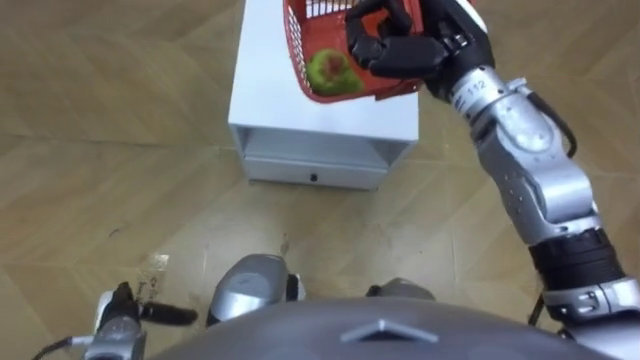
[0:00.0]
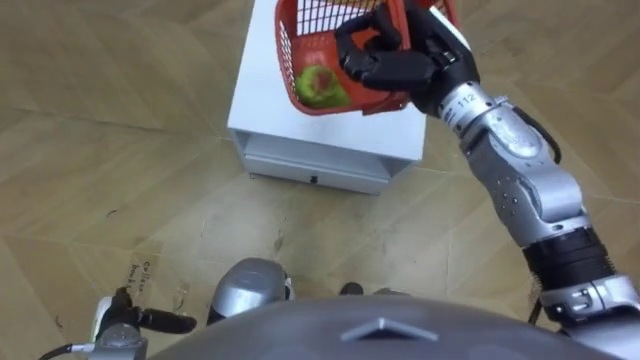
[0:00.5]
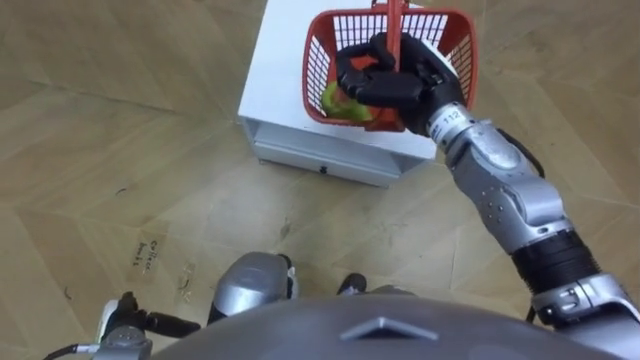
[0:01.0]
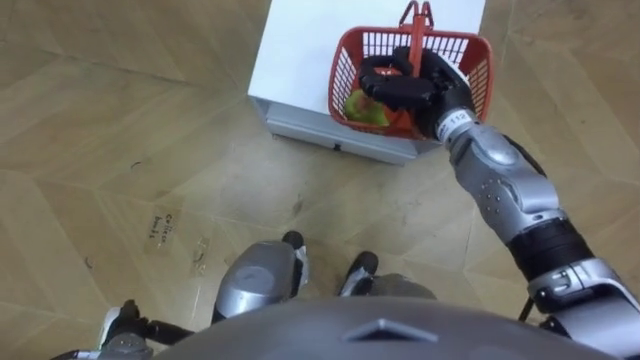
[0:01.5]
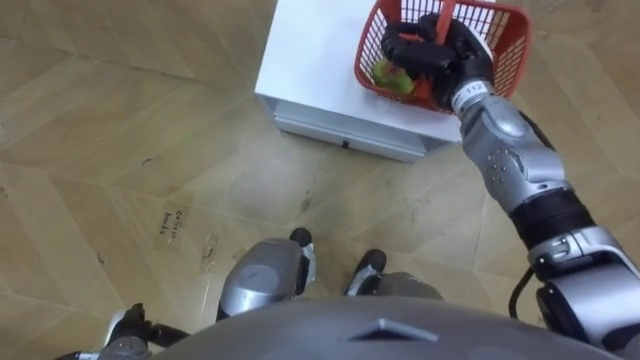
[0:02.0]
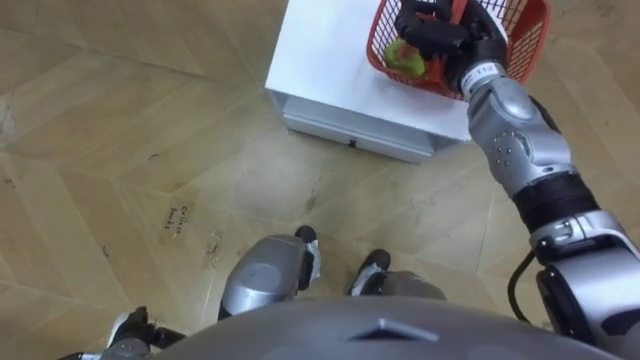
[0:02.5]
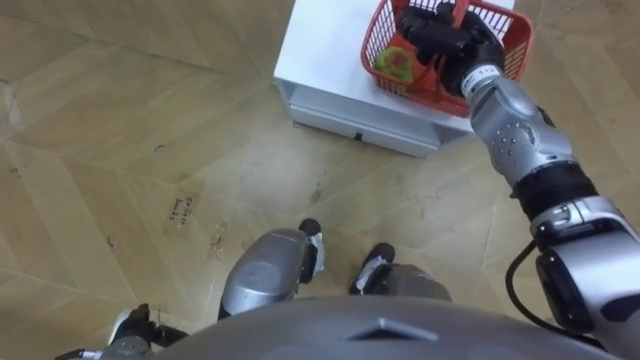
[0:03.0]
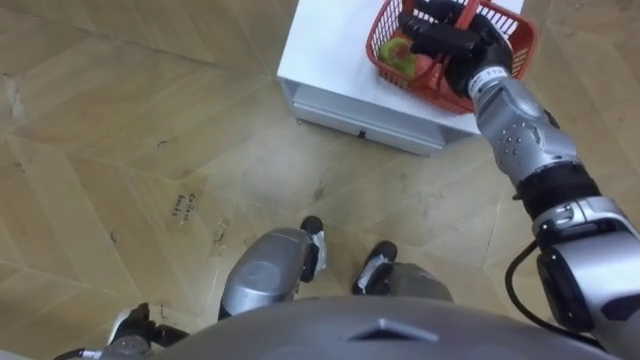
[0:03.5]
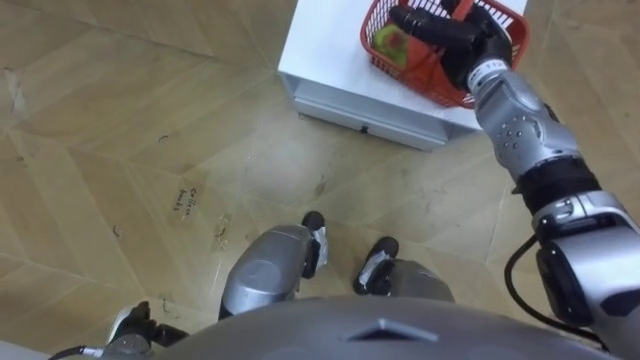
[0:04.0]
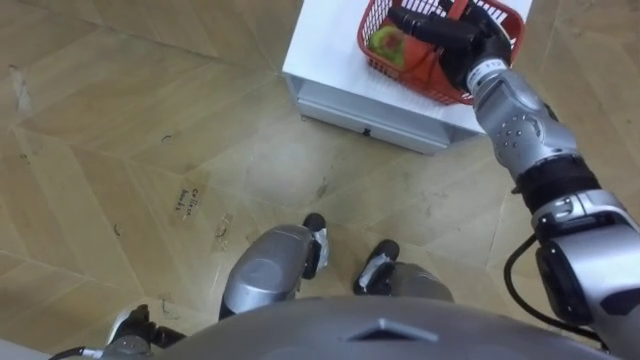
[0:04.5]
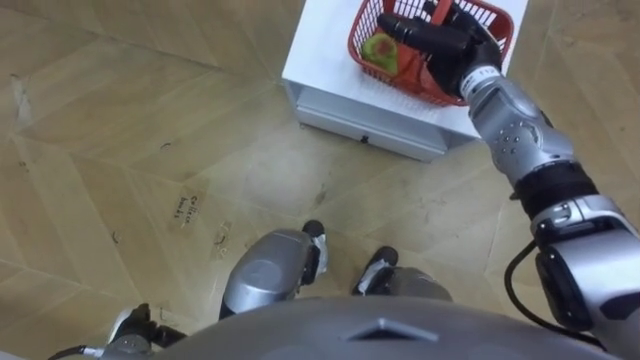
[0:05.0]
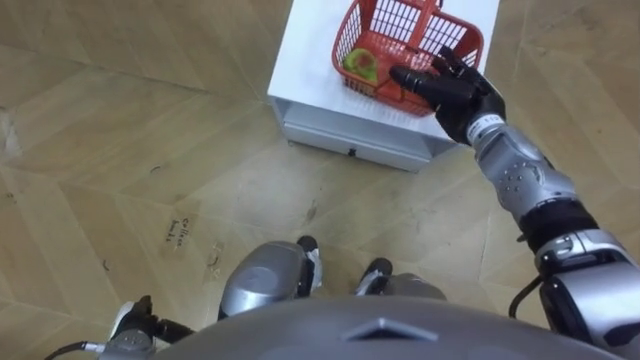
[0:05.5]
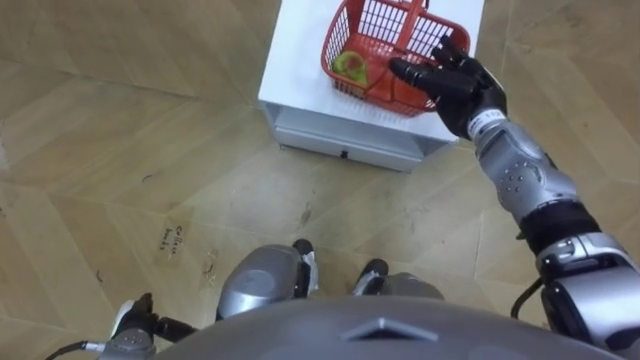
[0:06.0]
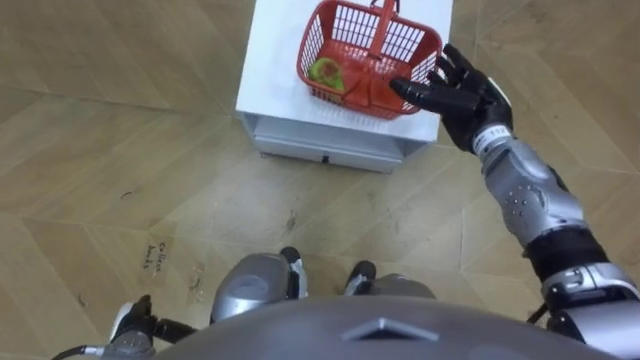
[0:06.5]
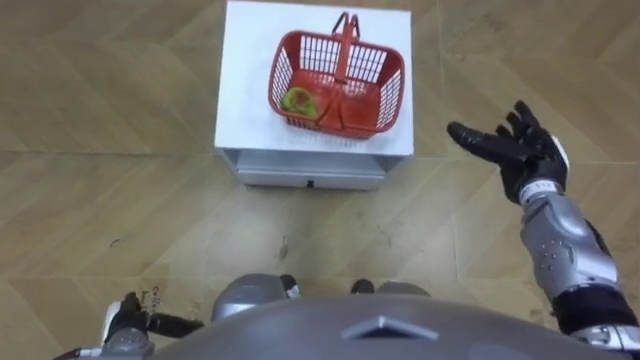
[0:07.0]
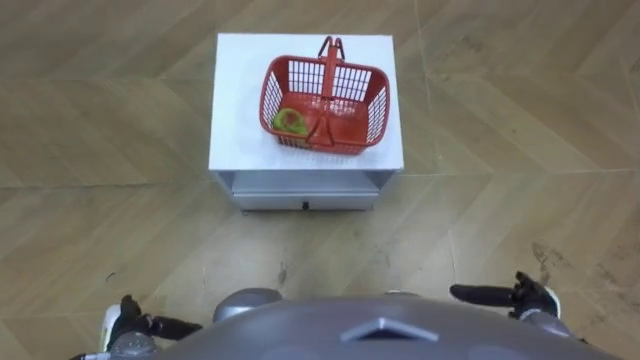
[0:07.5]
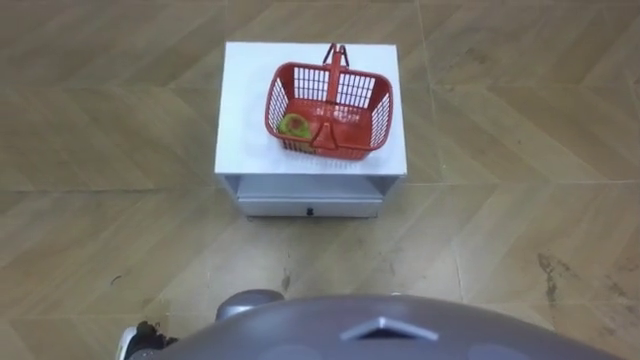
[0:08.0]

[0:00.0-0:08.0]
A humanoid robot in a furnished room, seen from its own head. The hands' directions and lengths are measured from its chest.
Task of the whole recording: Pick up the fruit basket from the floor and place it on the cabinet.
0:00.0 to 0:02.0: The right hand goes about 10 cm downward.
0:02.0 to 0:04.0: The right hand opens.
0:04.0 to 0:06.0: The right hand changes place by roughly 5 cm.
0:06.0 to 0:08.0: The right hand goes approximately 35 cm backward and downward.

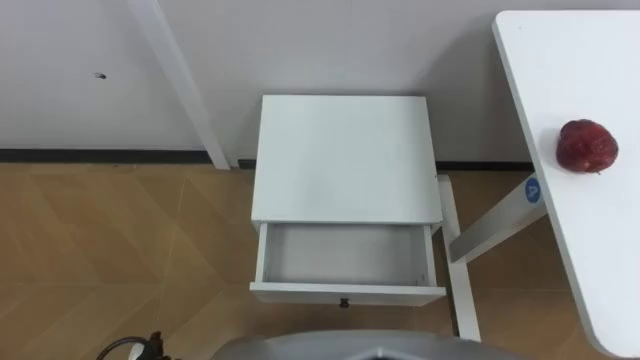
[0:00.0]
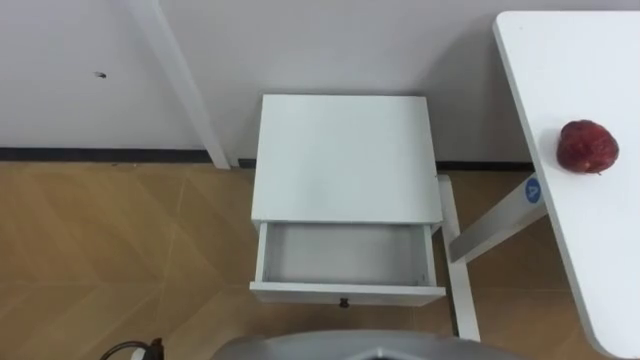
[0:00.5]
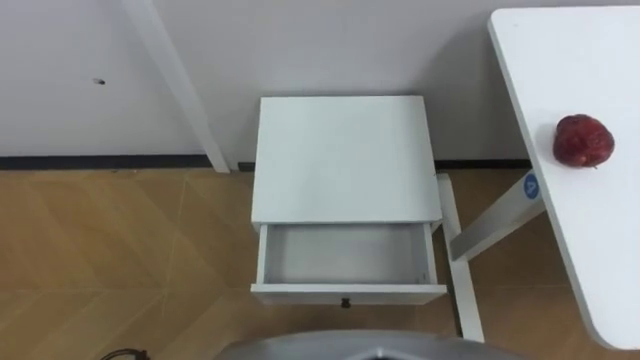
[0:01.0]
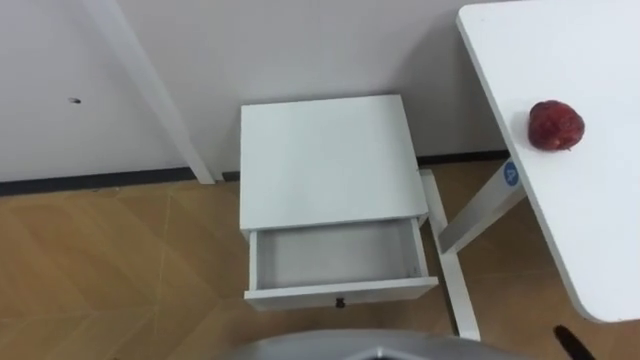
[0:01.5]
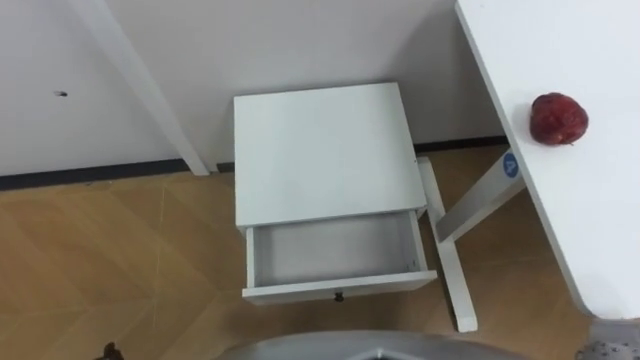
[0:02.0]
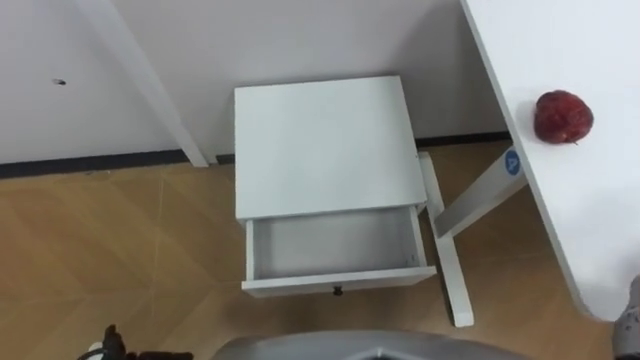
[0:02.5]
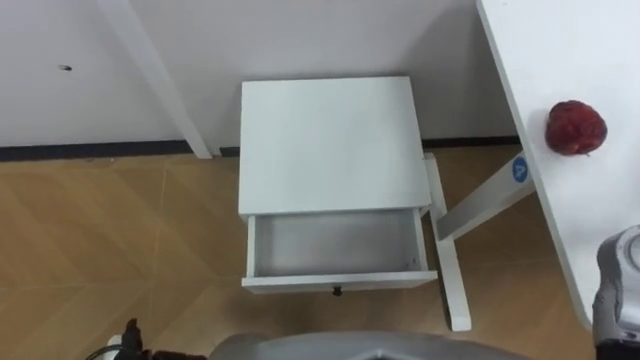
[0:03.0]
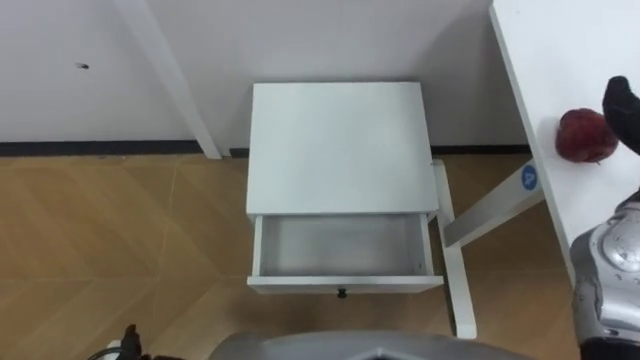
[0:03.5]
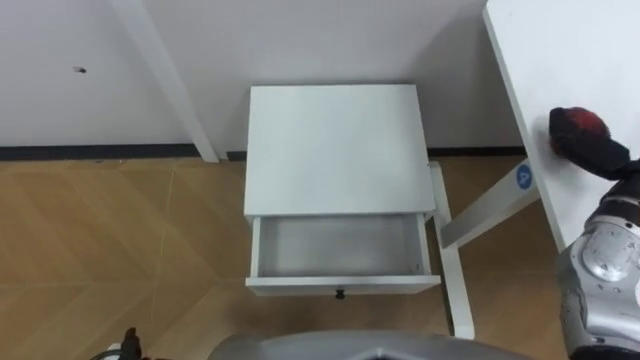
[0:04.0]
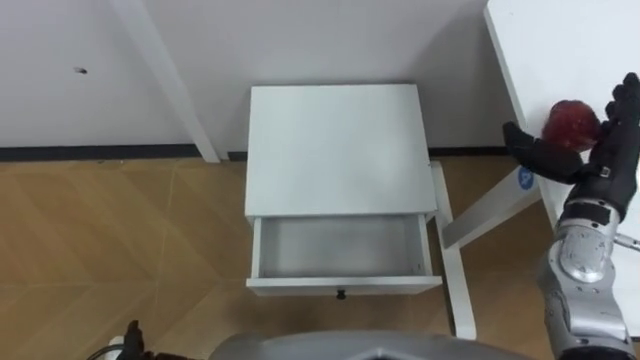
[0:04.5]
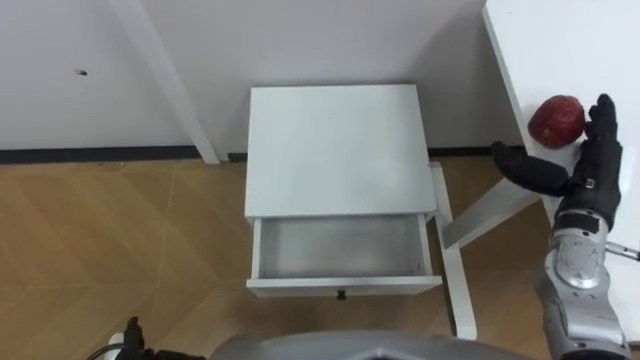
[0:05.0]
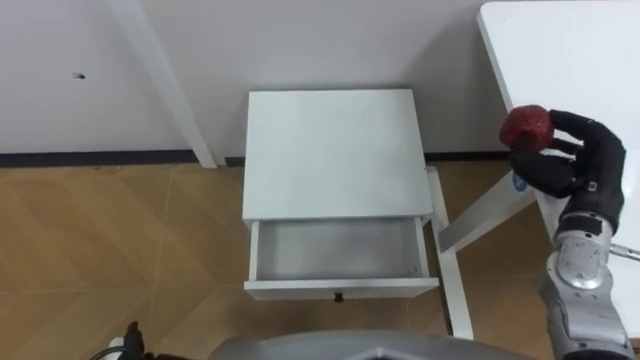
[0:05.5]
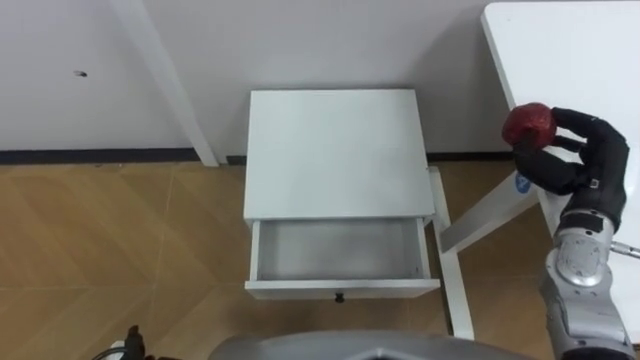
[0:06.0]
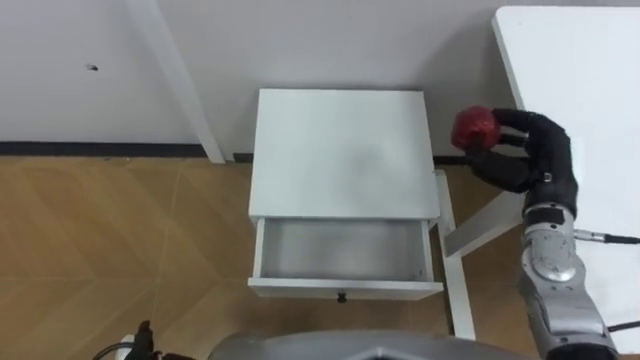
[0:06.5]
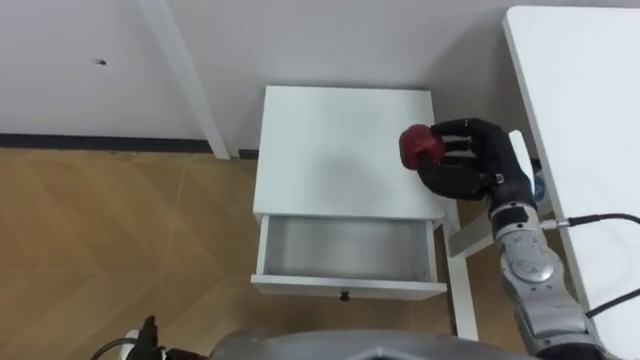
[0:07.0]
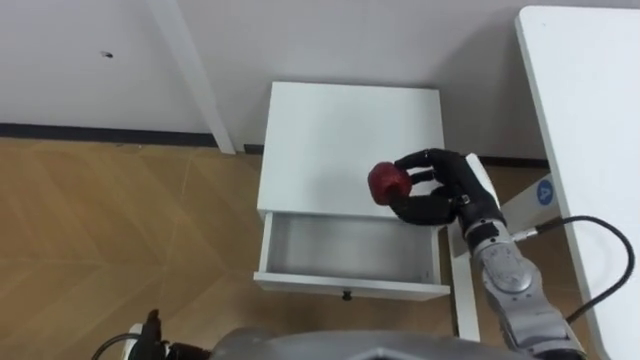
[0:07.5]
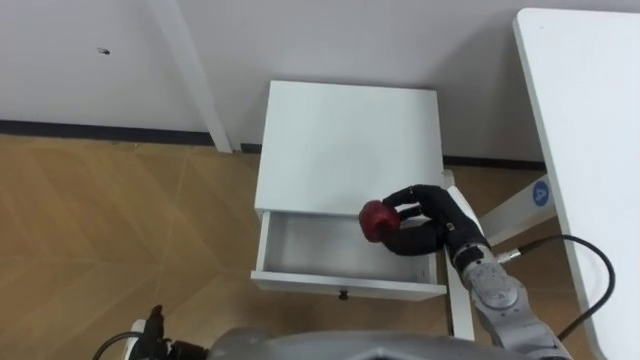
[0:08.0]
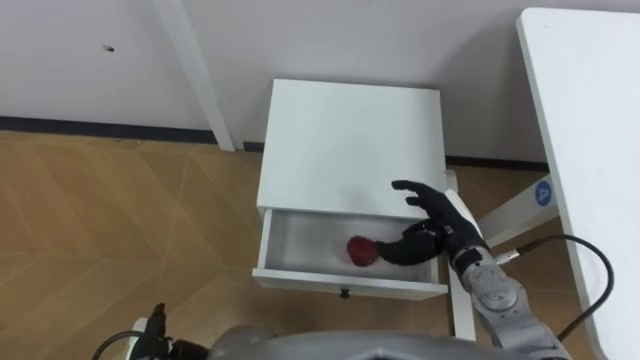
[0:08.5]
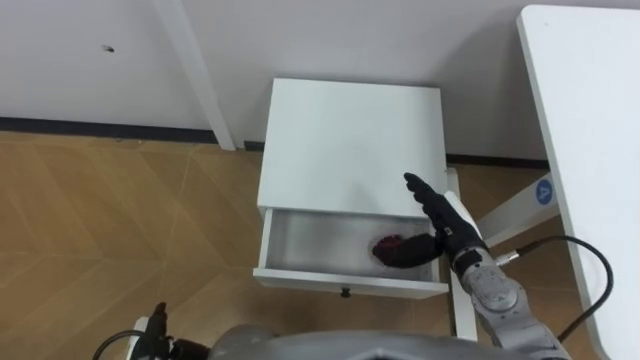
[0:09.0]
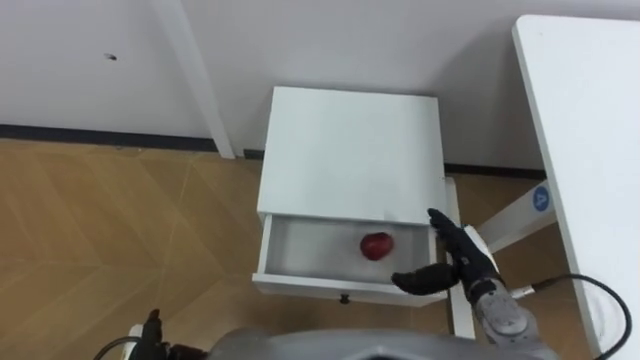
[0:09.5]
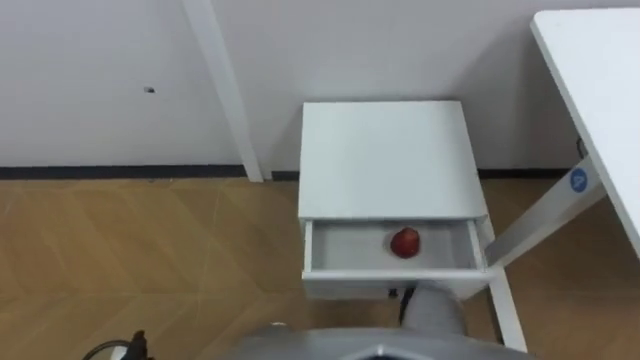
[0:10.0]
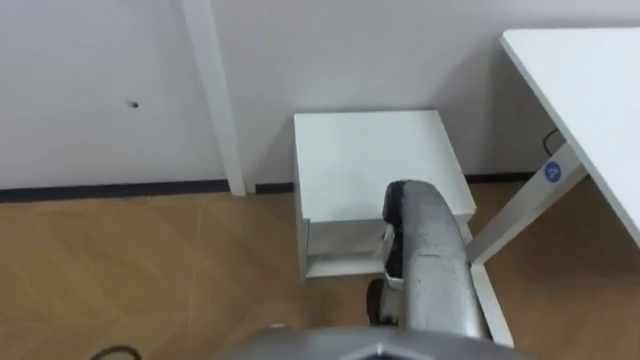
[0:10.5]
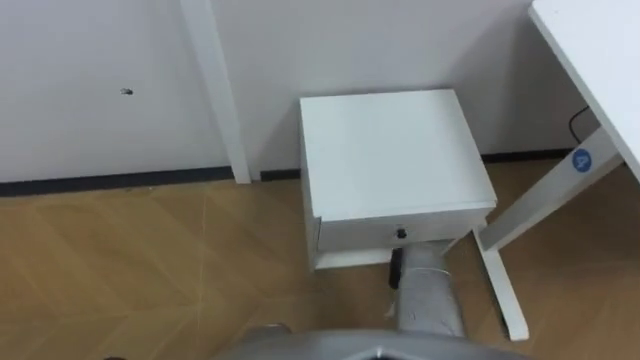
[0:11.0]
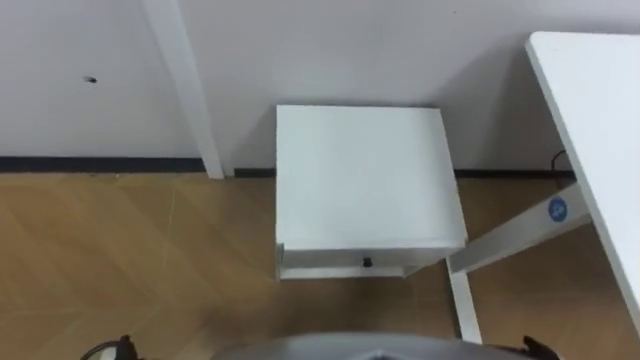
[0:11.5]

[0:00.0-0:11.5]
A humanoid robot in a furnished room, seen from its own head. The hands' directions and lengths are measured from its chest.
Task of the whole recording: Pick up the apple from the table, put it in the drawer, and close the drawer with leg.
0:06.0 to 0:07.5: The right hand travels to the left by roughly 15 cm.
0:07.5 to 0:09.5: The right hand is displaced downward and backward by approximately 10 cm, and opens up.
